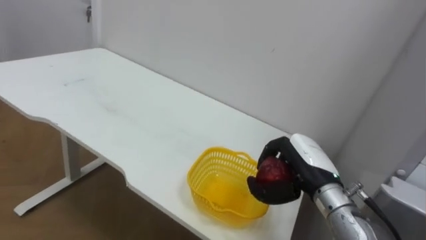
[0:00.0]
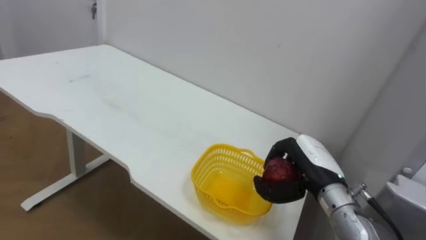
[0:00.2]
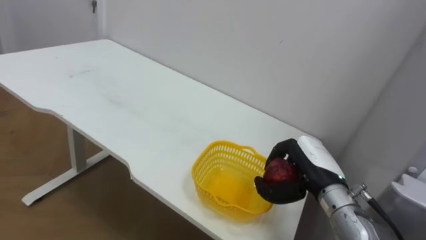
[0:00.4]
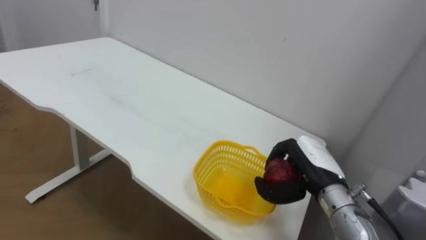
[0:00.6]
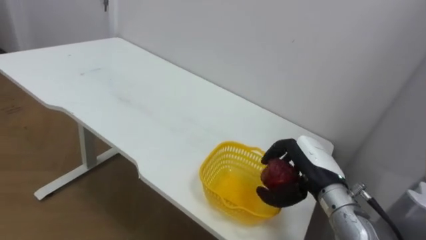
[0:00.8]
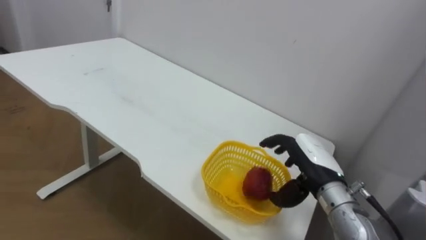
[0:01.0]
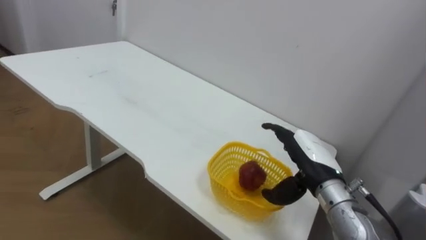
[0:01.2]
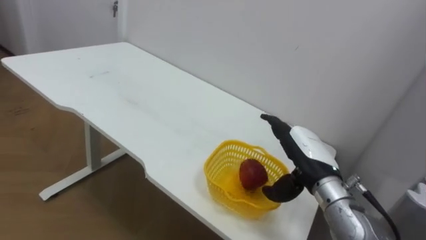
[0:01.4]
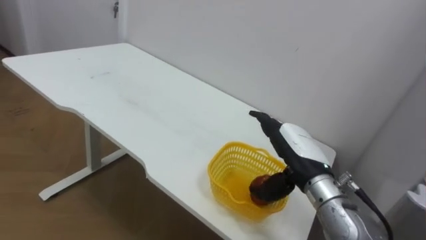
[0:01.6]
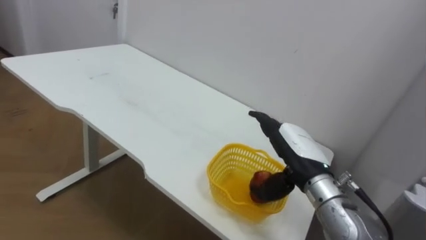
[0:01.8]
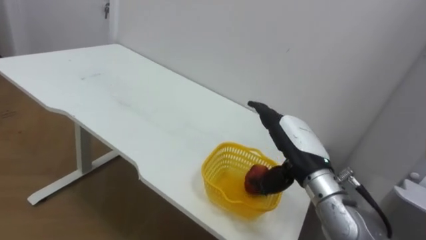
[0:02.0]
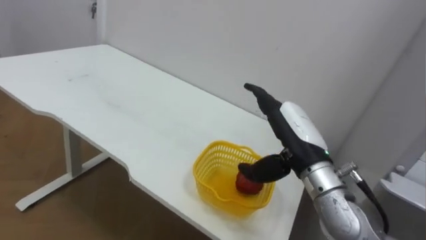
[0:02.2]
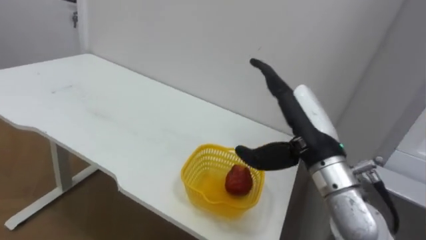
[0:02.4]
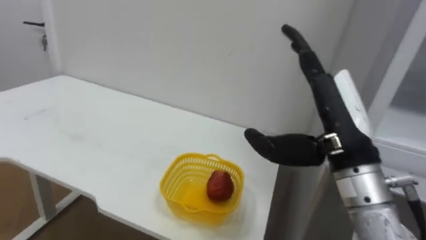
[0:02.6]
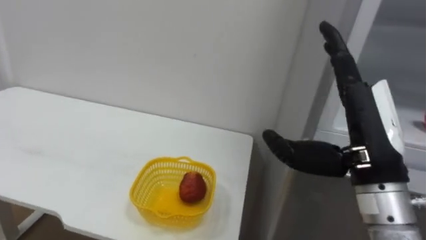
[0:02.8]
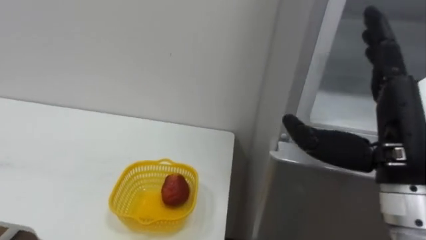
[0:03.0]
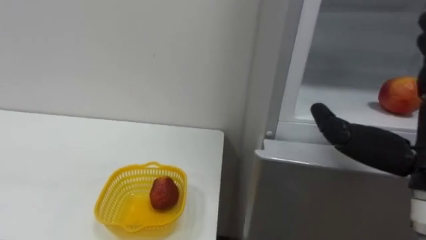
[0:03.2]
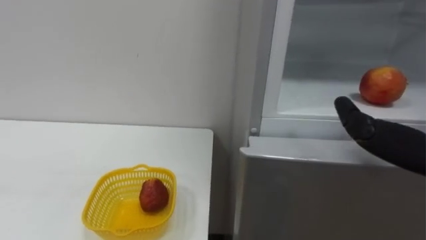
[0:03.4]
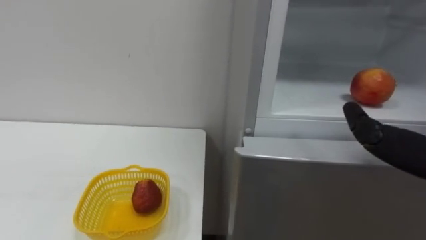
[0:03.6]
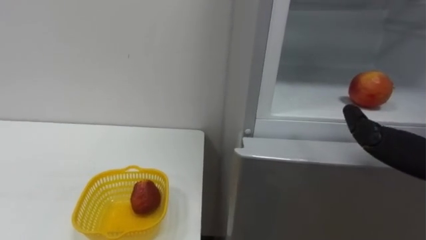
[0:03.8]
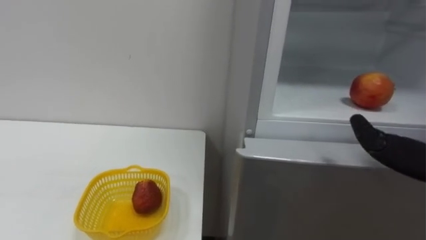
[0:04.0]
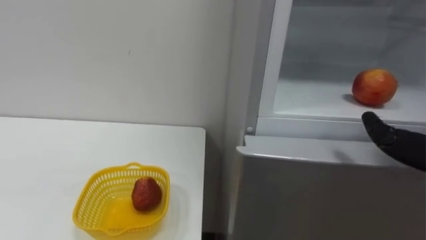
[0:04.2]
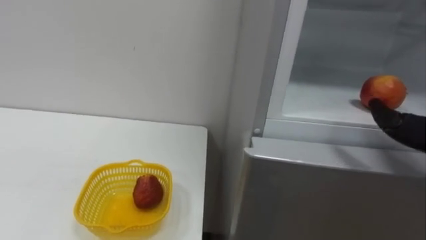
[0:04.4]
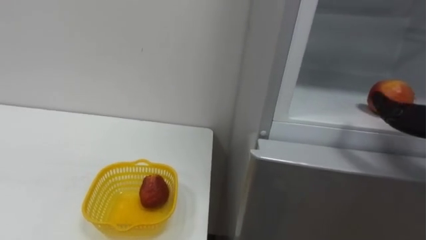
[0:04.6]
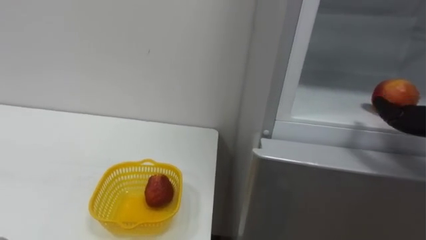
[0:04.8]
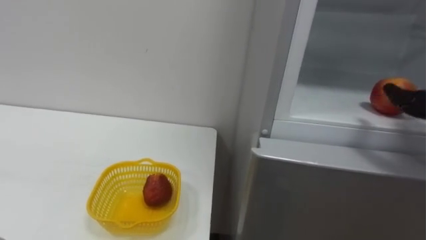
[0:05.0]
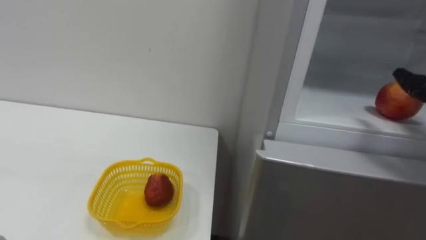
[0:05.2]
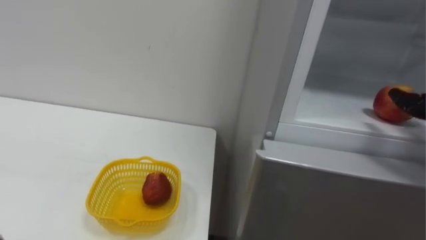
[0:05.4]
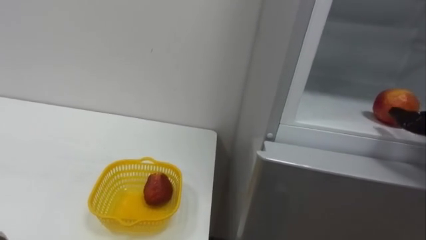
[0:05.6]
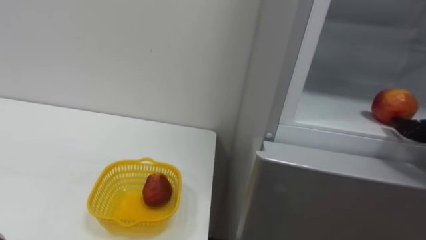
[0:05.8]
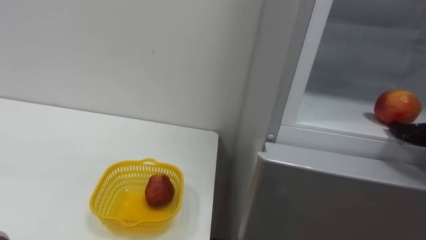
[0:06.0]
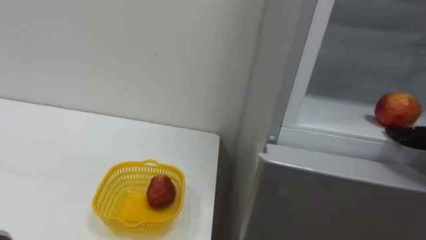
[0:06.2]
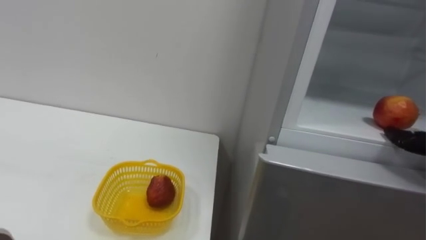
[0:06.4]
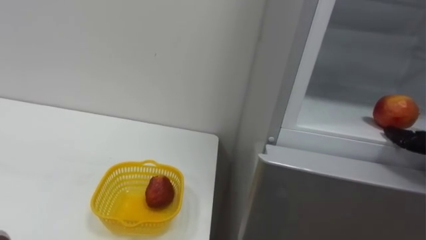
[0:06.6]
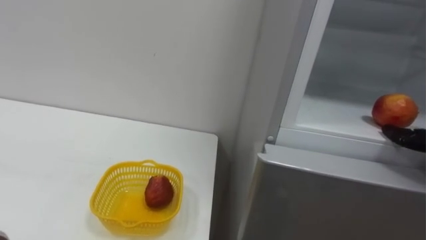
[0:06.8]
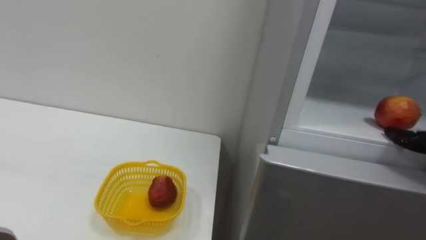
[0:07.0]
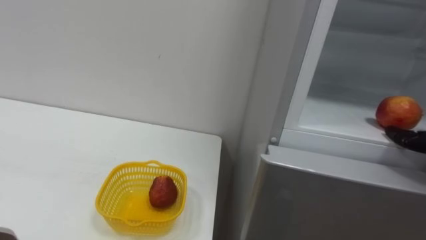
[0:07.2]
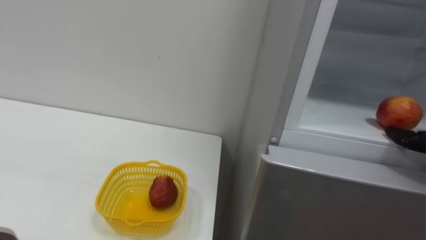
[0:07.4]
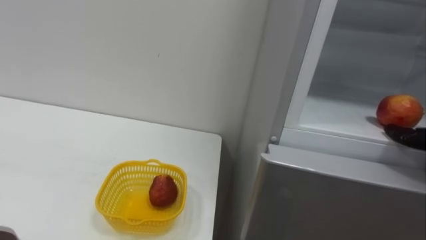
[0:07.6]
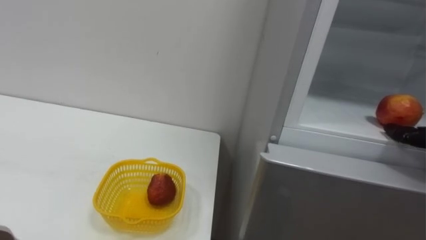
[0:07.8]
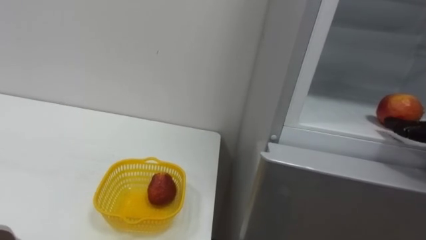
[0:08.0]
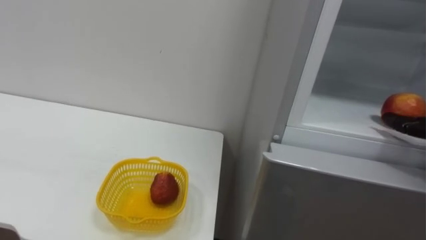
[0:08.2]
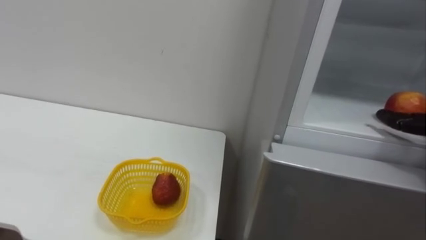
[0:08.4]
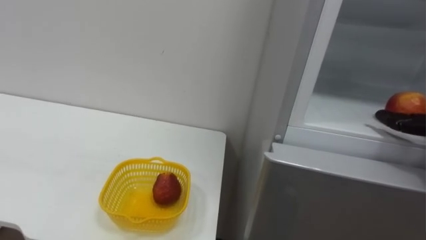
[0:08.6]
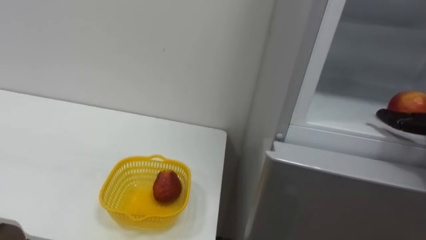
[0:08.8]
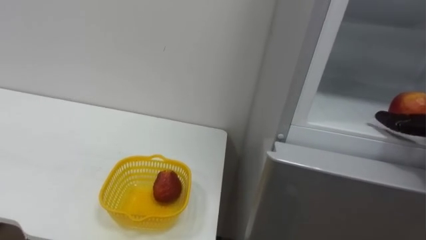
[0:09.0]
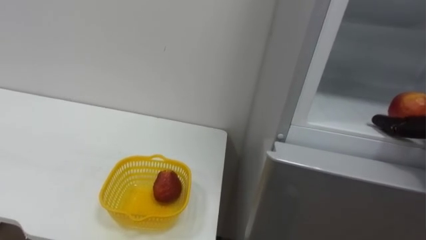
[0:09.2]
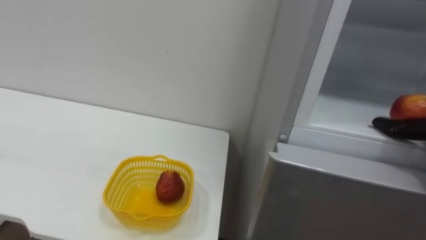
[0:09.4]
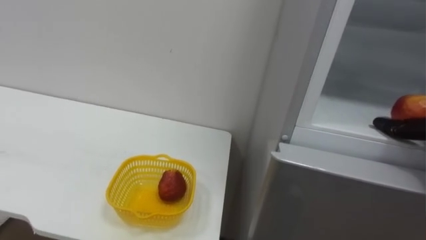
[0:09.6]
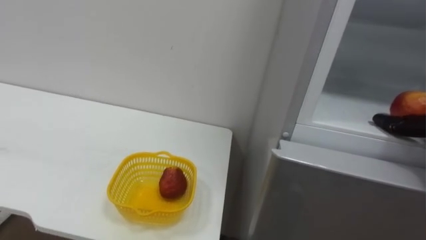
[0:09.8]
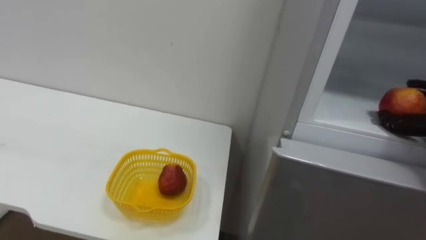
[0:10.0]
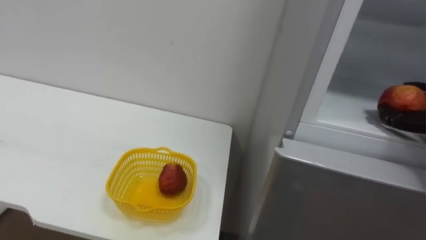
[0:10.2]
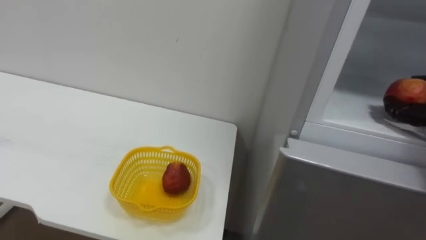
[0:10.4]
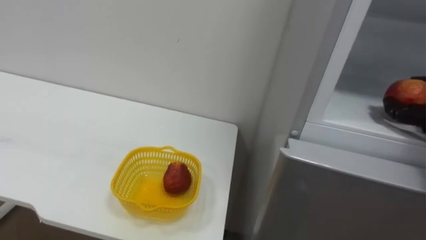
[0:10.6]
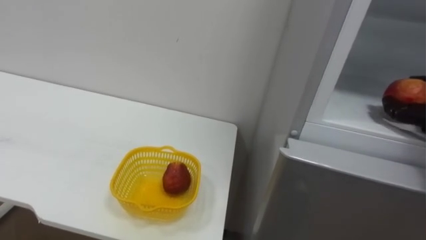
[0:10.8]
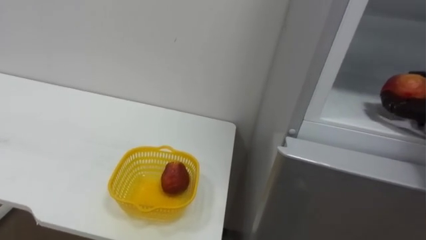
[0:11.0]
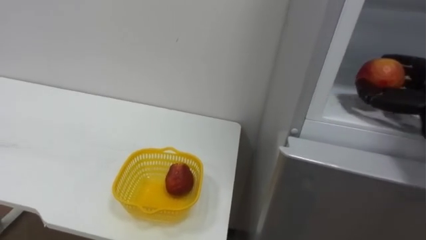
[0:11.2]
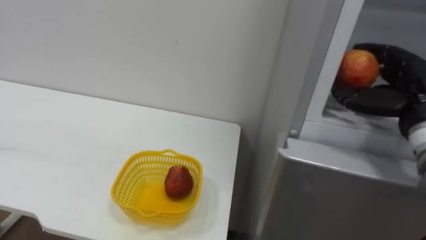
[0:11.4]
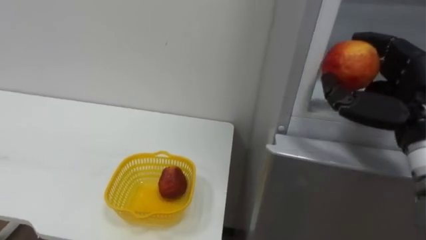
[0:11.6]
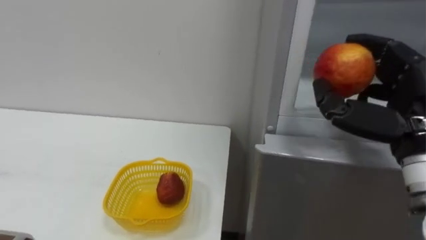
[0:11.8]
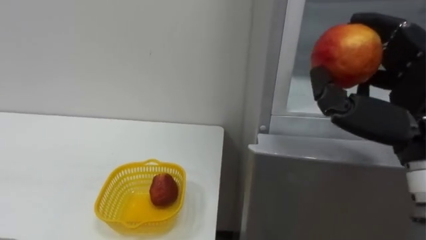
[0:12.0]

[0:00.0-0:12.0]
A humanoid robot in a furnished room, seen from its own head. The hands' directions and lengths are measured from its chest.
Task of the whole recording: Open the refrigerator door, take out the apple and the pomegranate, place them in the fruit basket on the left, and close the refrigerator door.
0:00.0 to 0:01.6: The right hand opens.
0:01.6 to 0:03.0: The right hand moves upward, backward and to the right, some 15 cm.

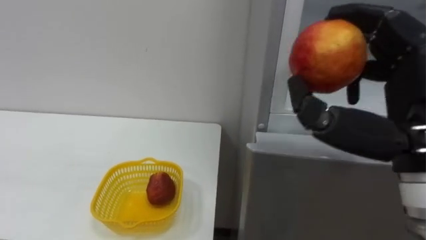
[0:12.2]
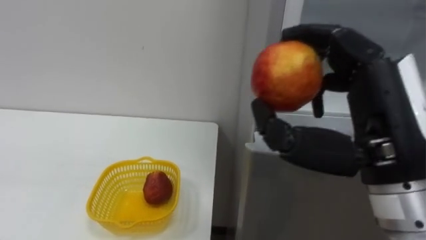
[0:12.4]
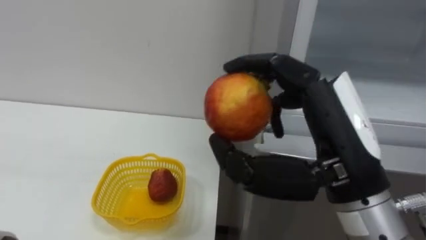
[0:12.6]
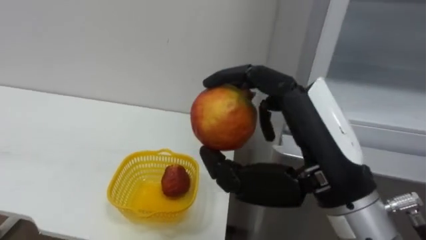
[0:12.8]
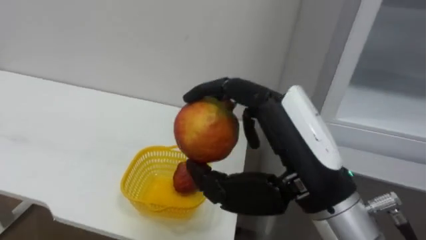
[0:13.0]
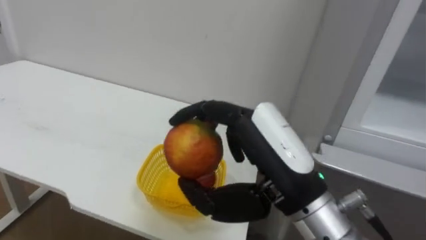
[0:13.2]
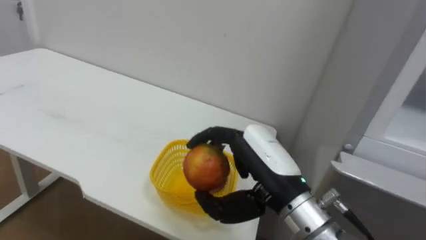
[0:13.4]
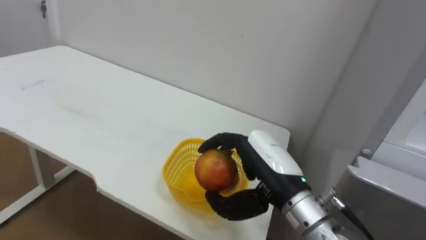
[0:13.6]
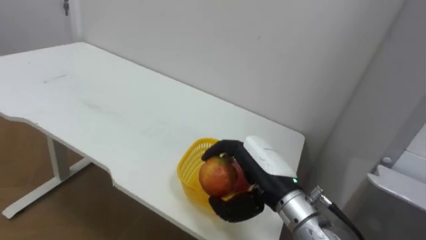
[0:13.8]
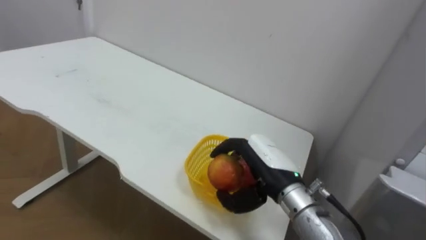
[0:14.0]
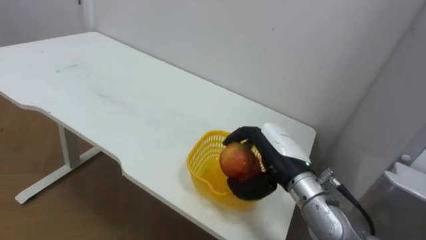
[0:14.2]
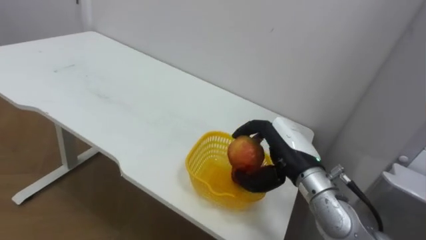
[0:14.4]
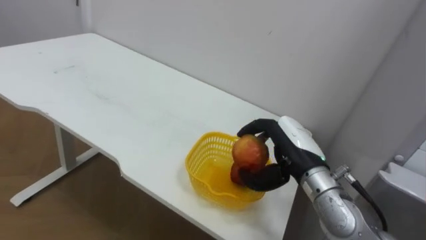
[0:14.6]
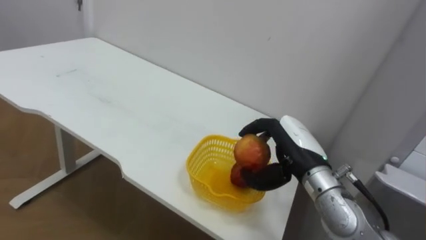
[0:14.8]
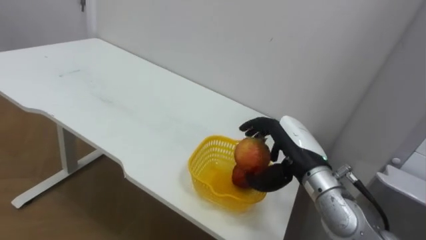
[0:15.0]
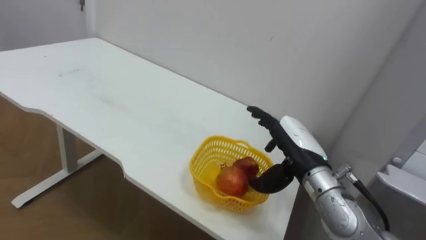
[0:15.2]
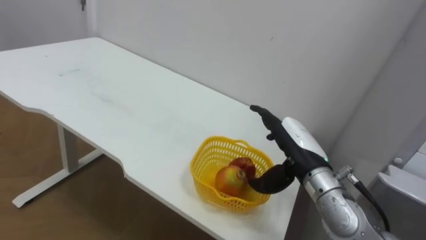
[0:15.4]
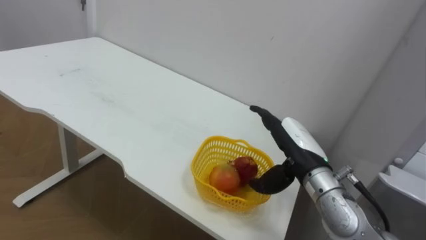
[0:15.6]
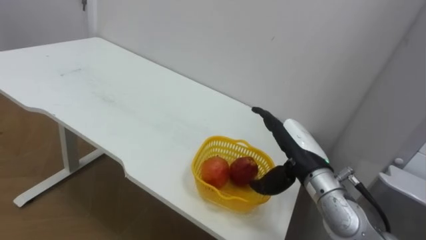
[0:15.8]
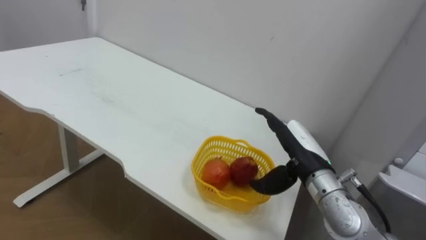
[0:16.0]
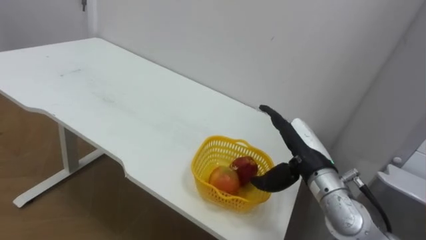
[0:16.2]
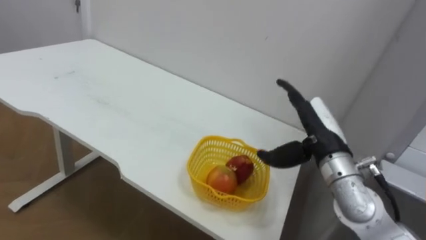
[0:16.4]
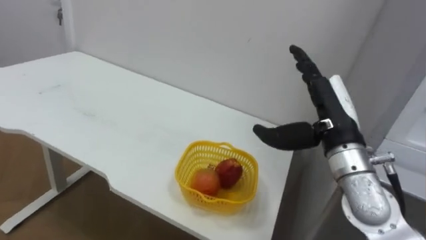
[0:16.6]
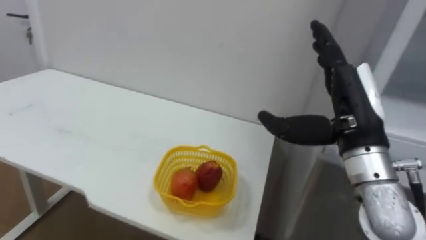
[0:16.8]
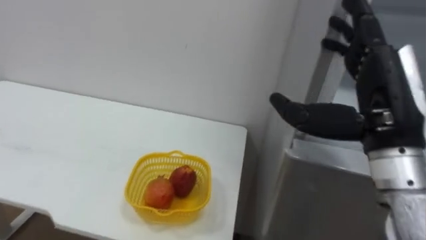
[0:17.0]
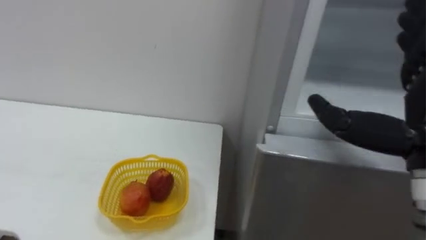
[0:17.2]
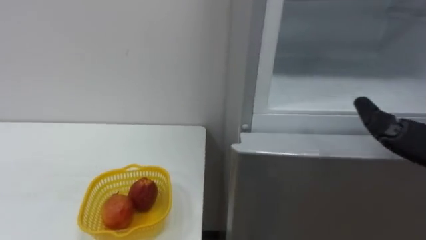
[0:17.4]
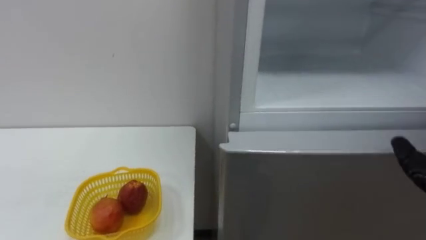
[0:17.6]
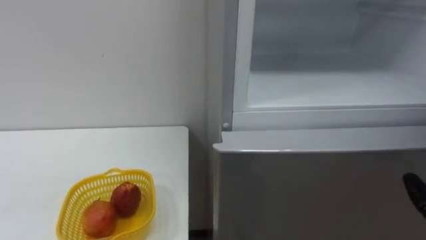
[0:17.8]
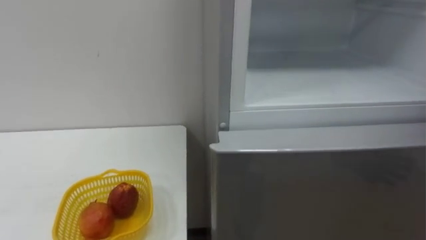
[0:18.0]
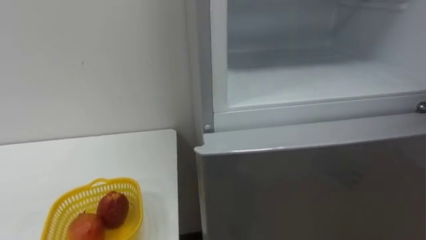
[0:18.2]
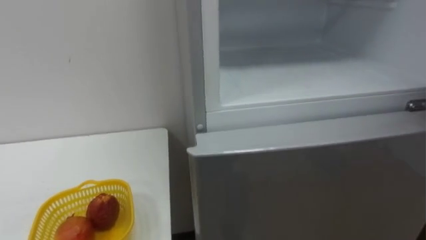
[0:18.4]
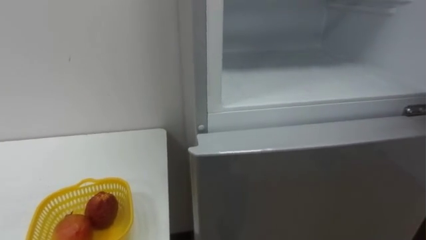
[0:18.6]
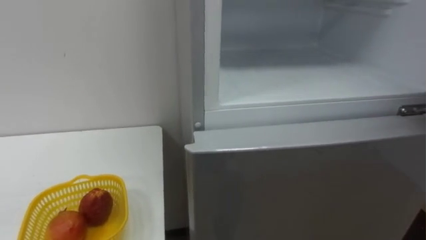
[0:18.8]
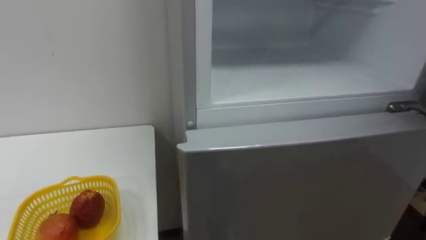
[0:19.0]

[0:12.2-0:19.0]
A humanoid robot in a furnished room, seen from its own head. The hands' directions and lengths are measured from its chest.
Task of the whole recording: Open the refrigerator door, take out the apple and the pomegranate, place them in the fruit basket on the left, and close the refrigerator door.
0:12.2 to 0:13.6: The right hand shifts approximately 20 cm downward, to the left and forward.
0:13.6 to 0:15.0: The right hand shifts roughly 10 cm forward and to the right.
0:15.0 to 0:16.2: The right hand opens its fingers.
